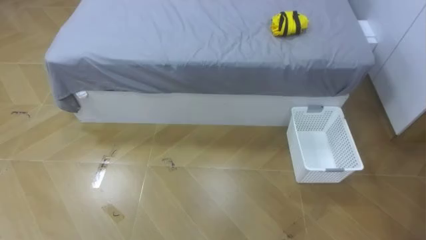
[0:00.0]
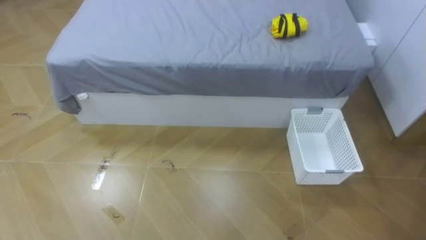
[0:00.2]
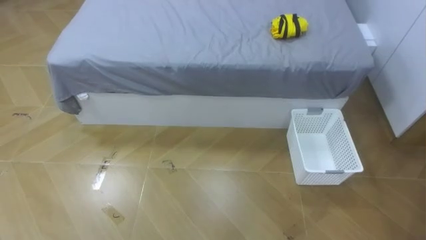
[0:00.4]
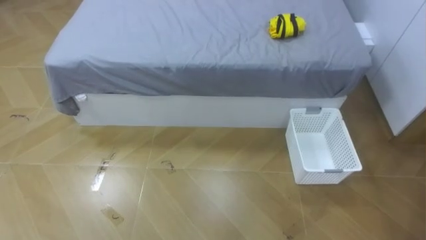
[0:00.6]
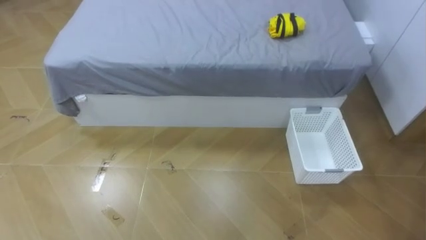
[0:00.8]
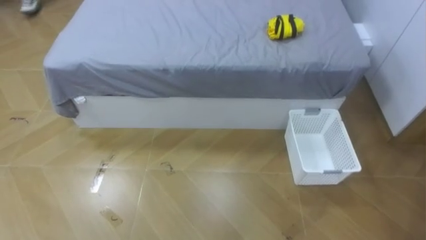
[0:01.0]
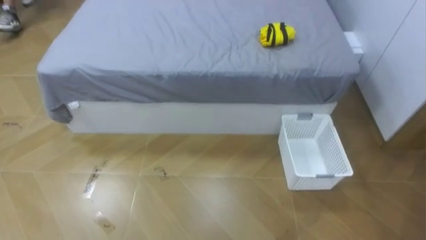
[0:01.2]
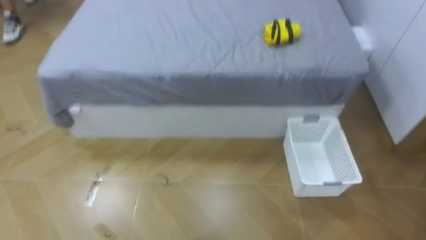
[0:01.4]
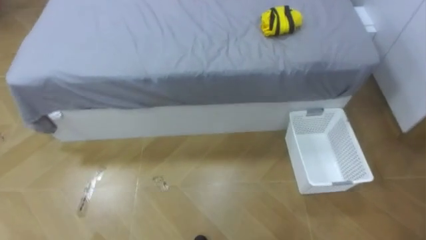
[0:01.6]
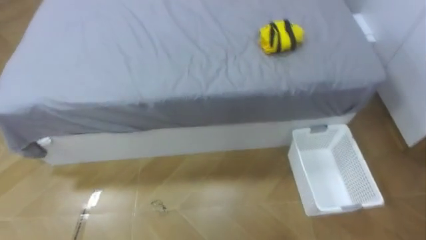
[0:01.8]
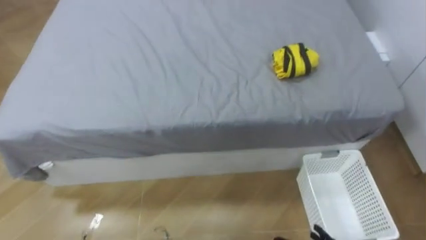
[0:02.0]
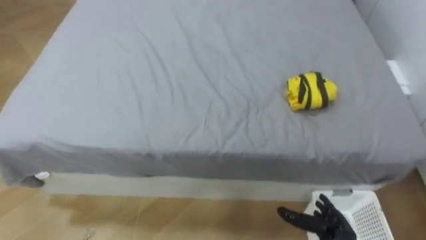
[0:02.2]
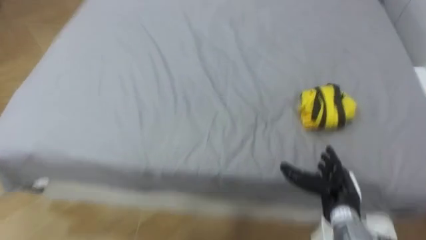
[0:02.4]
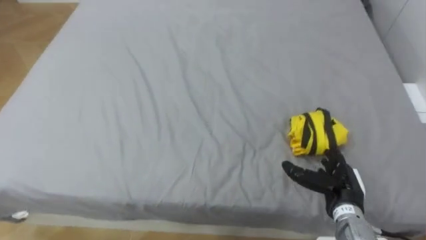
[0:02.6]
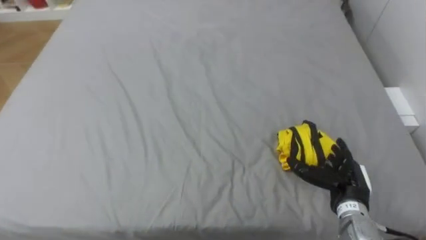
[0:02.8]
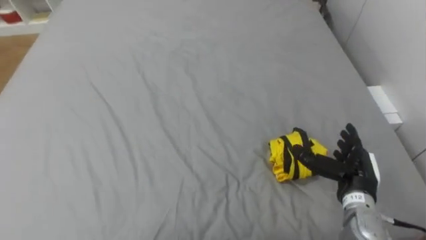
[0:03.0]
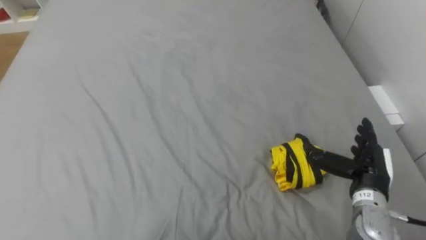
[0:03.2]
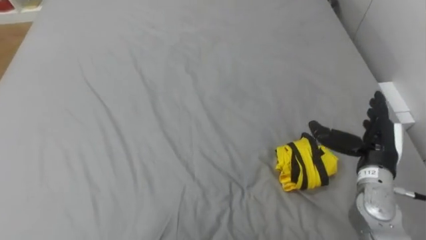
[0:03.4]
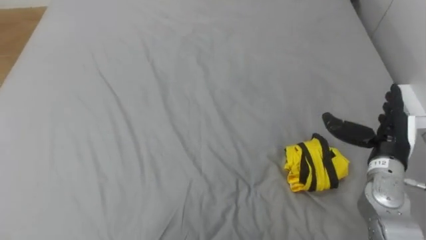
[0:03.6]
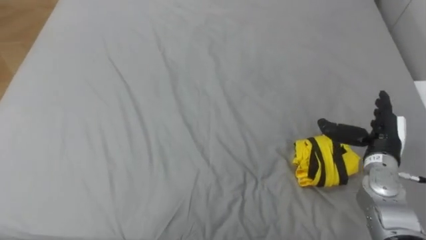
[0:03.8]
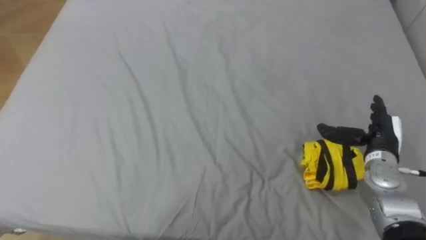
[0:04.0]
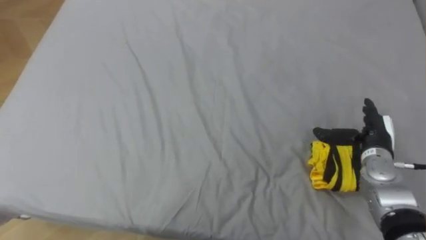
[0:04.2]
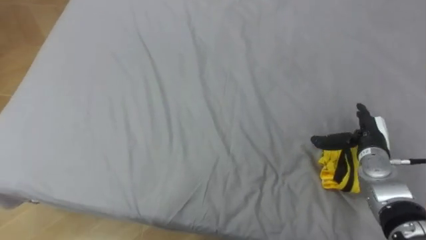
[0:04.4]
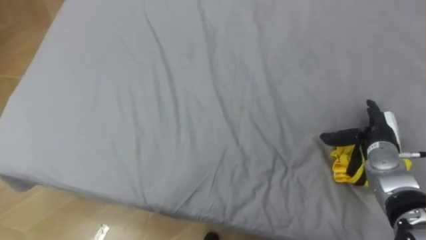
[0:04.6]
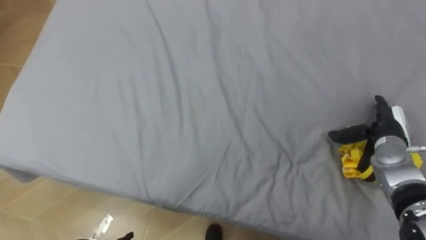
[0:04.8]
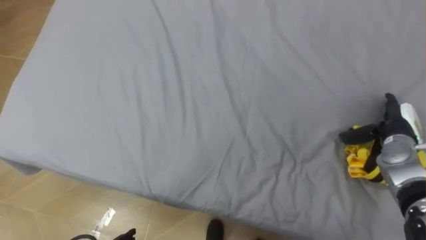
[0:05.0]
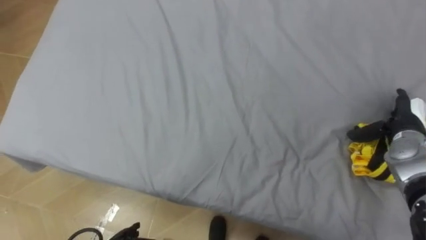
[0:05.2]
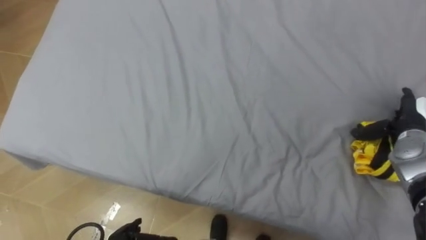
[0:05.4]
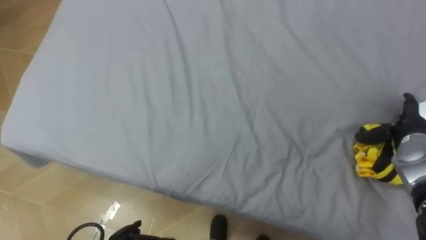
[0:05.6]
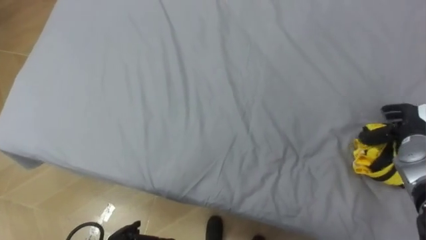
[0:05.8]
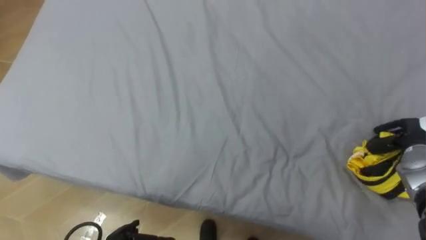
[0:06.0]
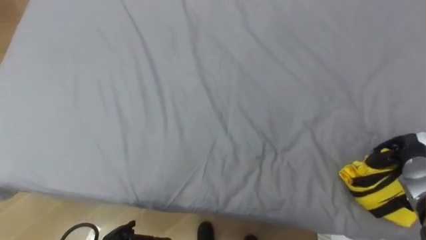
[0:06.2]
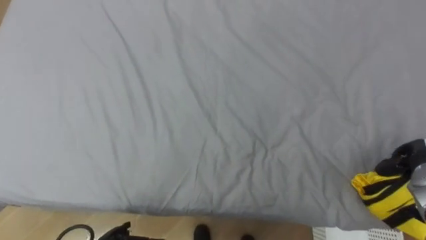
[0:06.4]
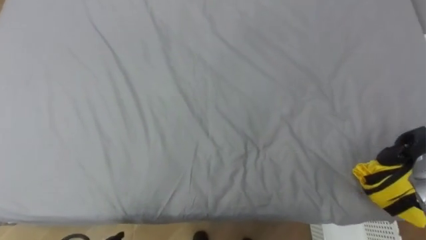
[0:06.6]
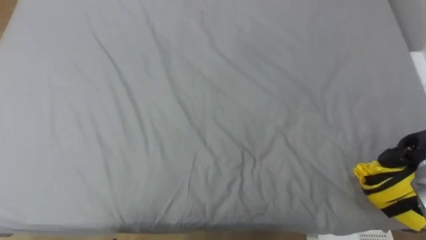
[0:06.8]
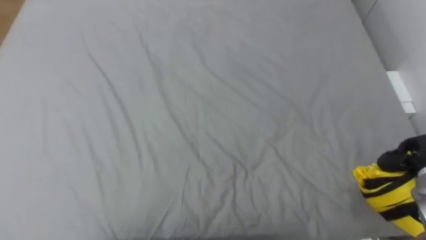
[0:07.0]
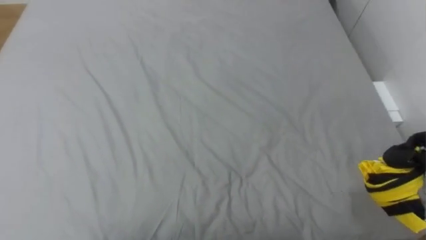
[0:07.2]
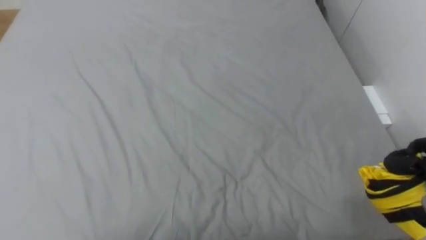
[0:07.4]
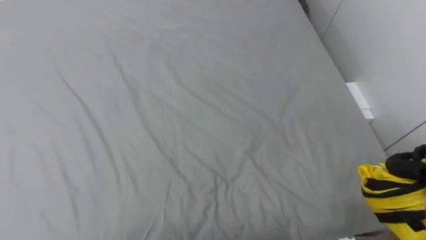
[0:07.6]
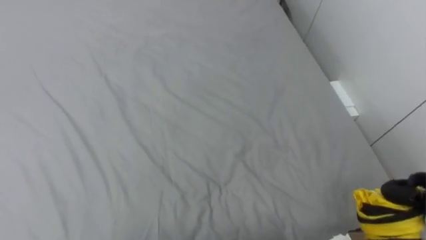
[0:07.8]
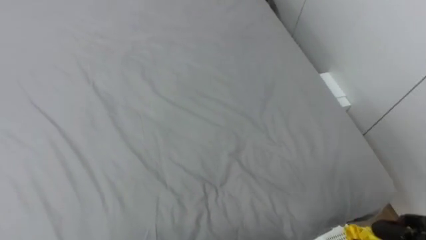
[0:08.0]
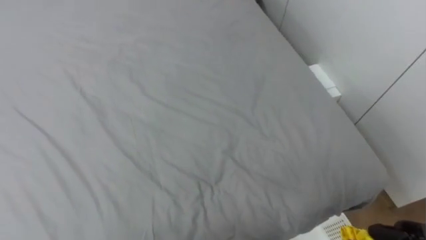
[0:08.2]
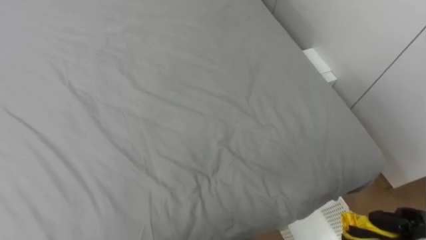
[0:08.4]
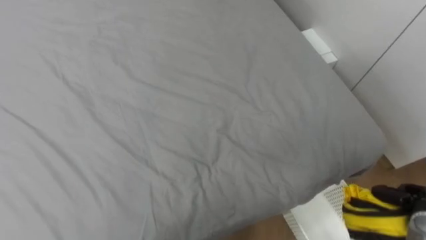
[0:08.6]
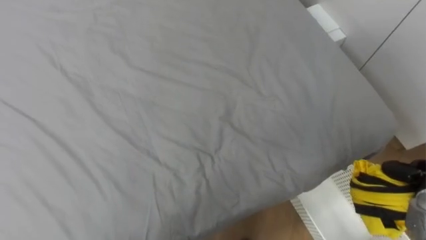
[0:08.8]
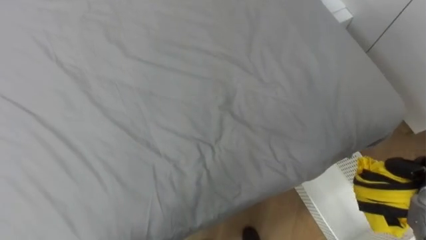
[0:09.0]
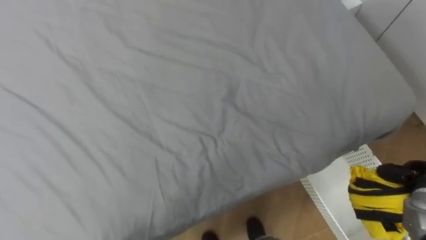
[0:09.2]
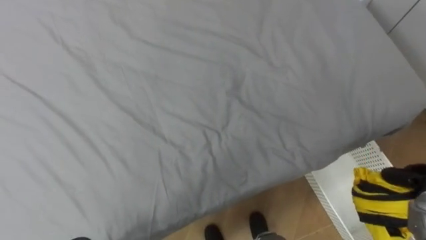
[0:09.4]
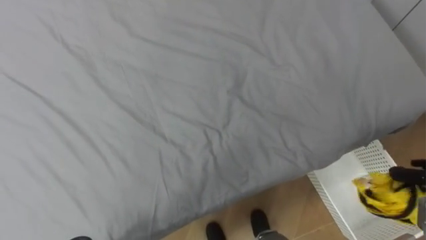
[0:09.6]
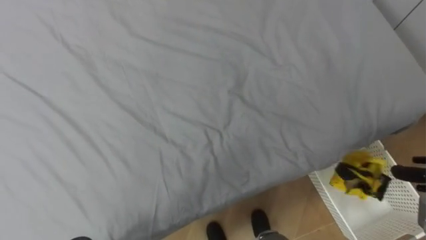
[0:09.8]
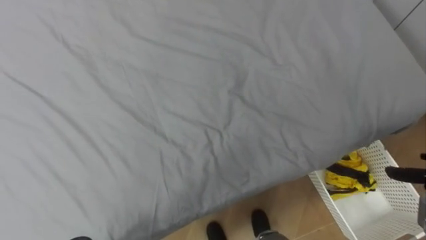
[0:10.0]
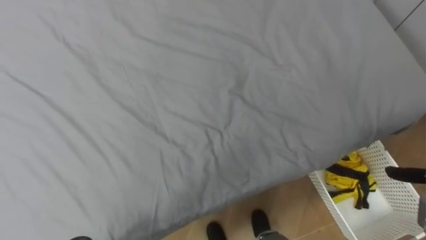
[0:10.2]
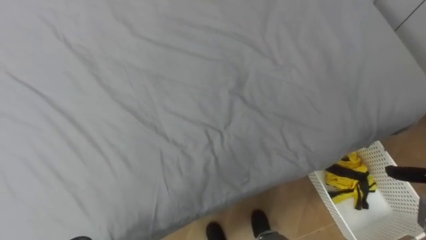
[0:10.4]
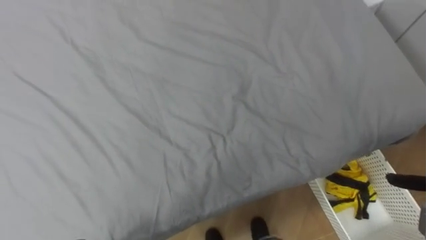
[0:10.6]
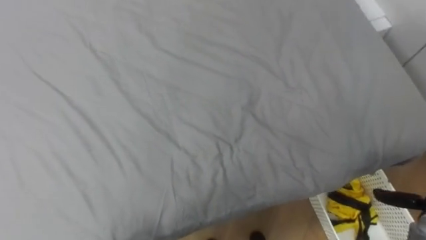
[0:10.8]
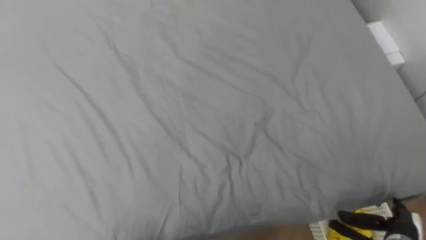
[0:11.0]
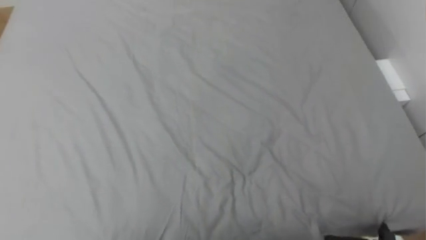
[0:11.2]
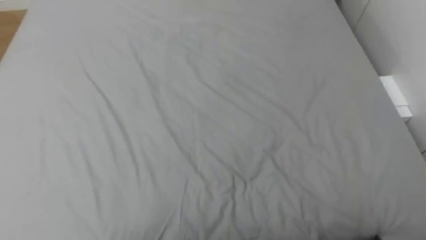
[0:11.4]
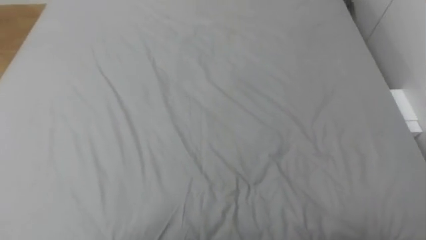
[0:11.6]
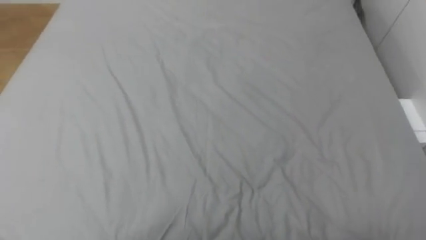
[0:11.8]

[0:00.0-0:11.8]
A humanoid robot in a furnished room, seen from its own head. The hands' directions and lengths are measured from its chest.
Task of the whole recording: Pick up the yellow clothes on the bed and place them into the white basket on the right.
0:03.0 to 0:04.4: The right hand heads forward, covering approximately 10 cm.
0:04.4 to 0:06.0: The right hand travels to the right by approximately 10 cm, and closes its fingers.
0:10.4 to 0:11.8: The robot's body swings about 20 degrees to its left.

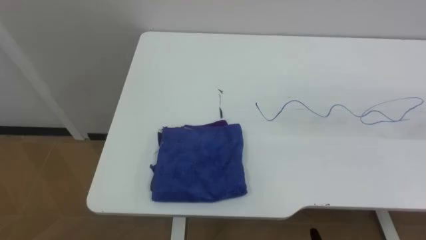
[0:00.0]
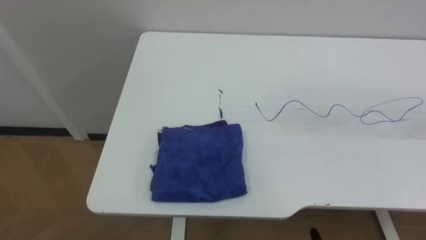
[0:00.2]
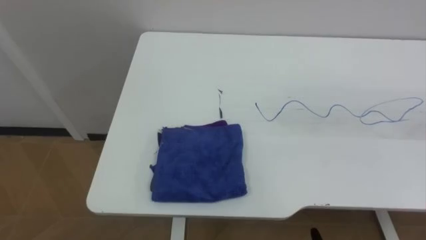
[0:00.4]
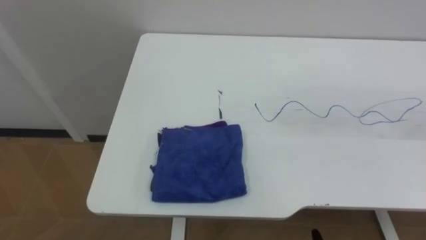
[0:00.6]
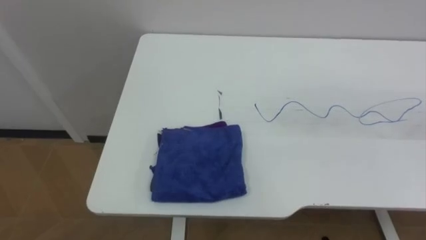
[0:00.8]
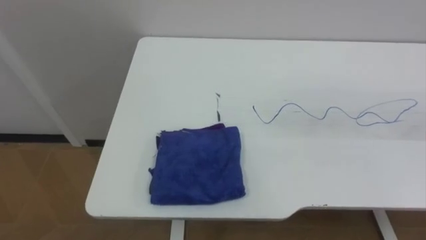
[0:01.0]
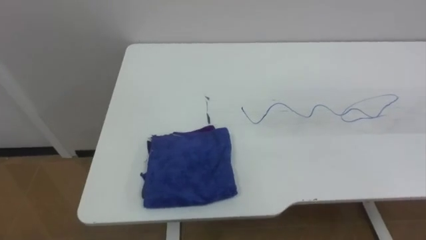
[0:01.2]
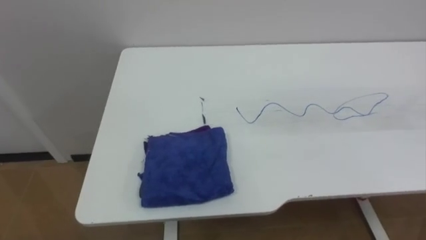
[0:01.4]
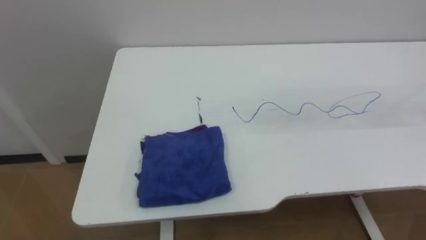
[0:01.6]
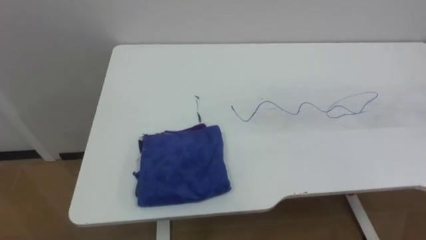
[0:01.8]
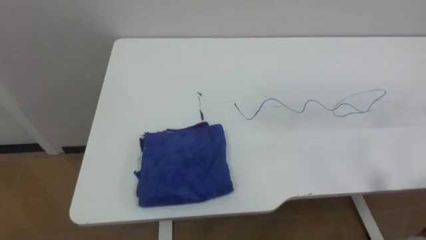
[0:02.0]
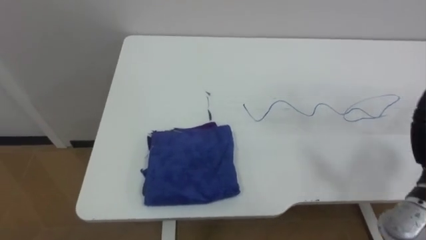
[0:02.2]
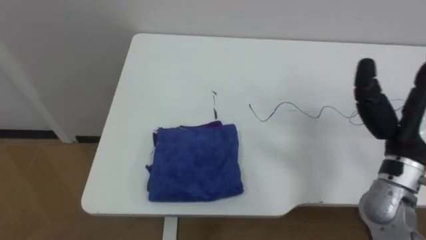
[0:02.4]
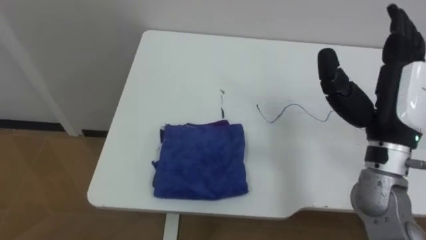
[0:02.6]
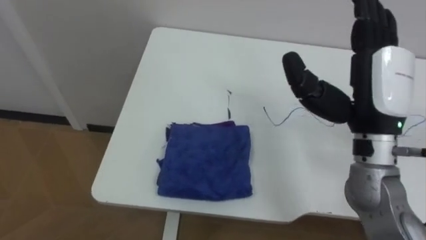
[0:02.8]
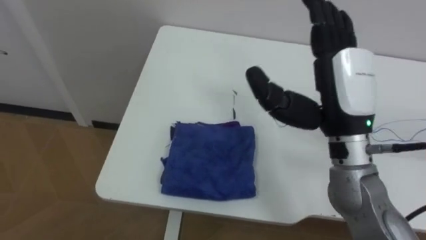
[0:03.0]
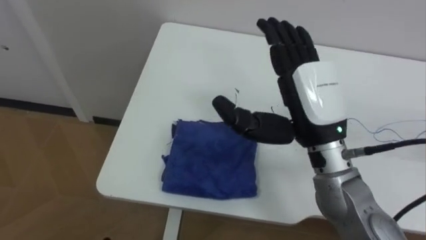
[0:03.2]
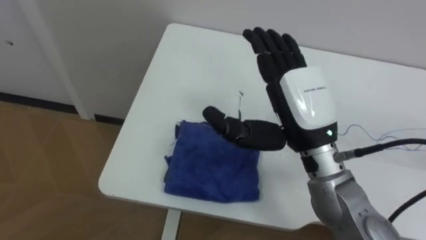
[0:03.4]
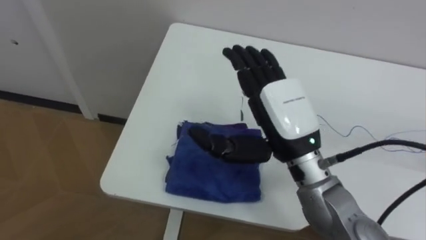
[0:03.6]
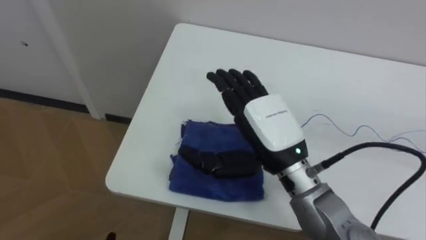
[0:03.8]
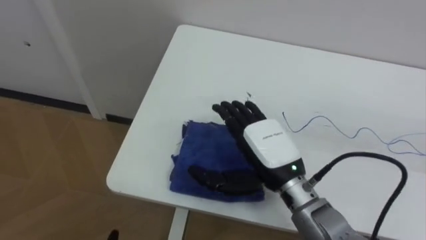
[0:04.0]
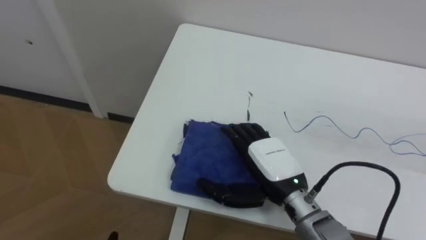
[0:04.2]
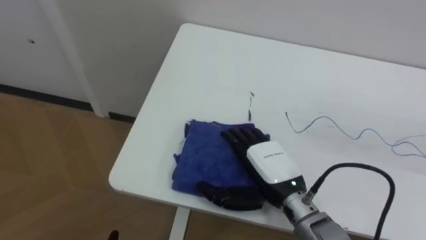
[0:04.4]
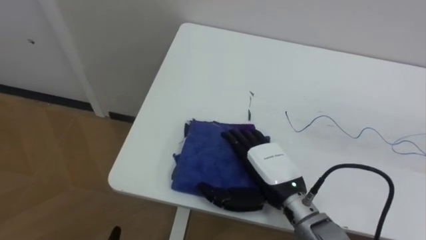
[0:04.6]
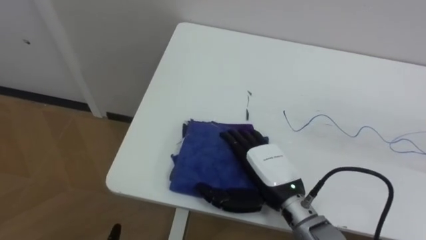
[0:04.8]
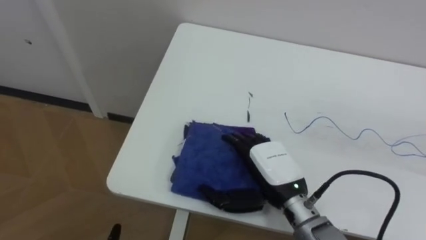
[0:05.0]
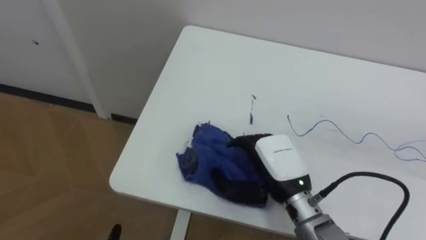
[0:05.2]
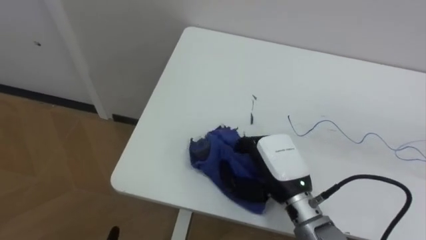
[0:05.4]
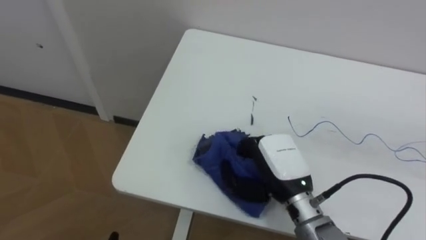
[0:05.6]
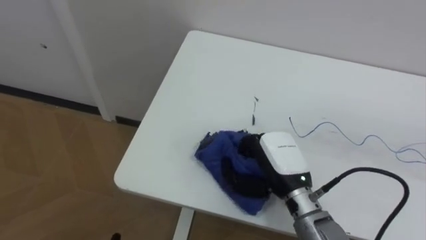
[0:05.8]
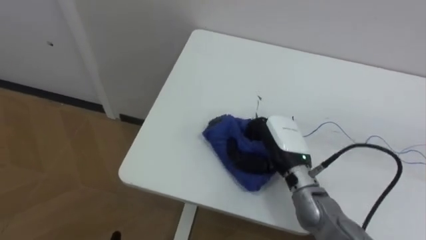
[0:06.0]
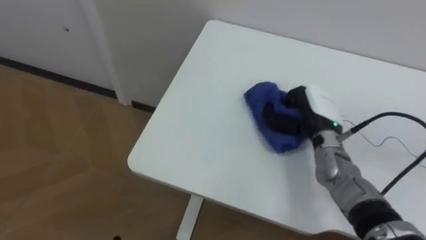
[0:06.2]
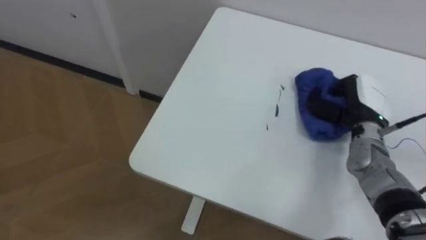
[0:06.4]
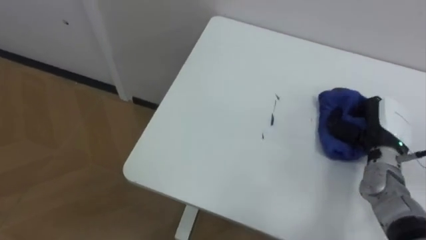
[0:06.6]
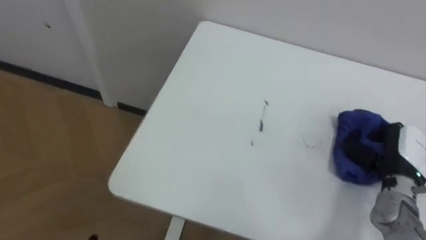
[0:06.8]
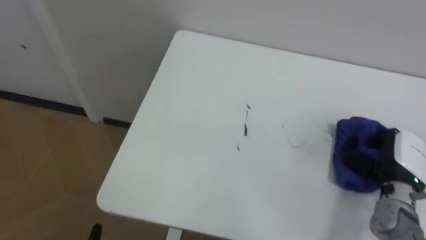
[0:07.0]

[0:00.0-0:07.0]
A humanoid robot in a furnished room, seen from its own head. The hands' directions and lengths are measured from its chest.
Task of the whole recording: Wipe the blue pen marks off the table with the rag.
0:02.8 to 0:04.2: The right hand moves downward and to the left, some 20 cm.
0:04.2 to 0:05.6: The right hand closes.
0:05.6 to 0:07.0: The right hand goes approximately 25 cm to the right.
